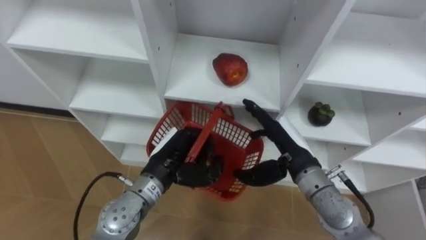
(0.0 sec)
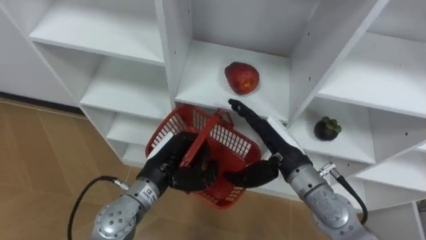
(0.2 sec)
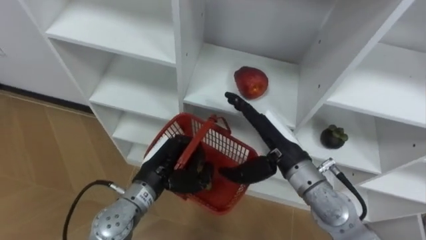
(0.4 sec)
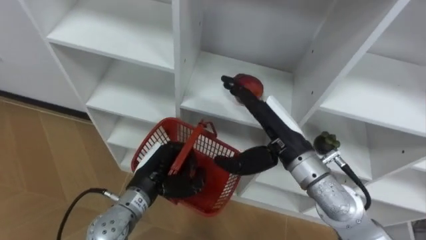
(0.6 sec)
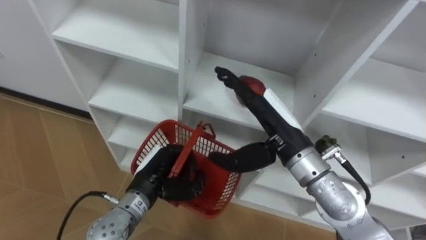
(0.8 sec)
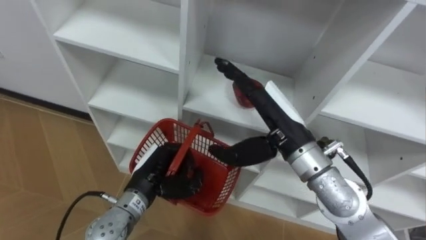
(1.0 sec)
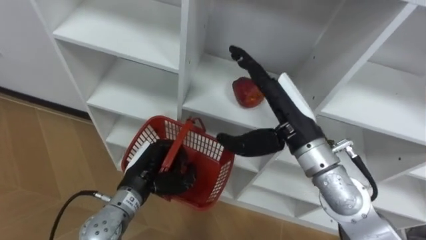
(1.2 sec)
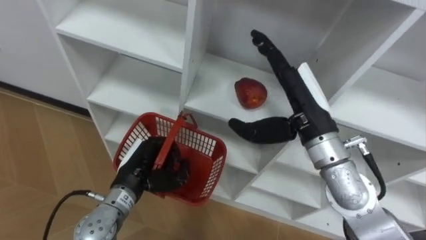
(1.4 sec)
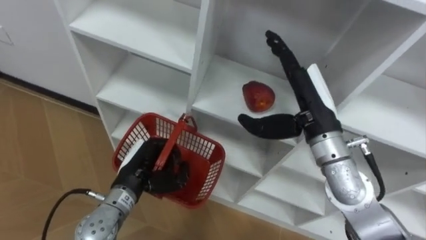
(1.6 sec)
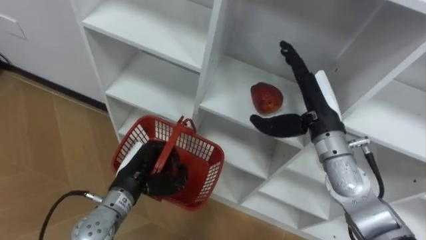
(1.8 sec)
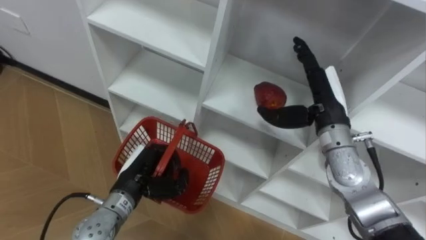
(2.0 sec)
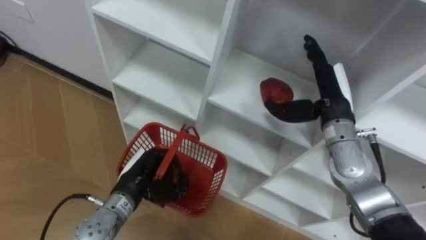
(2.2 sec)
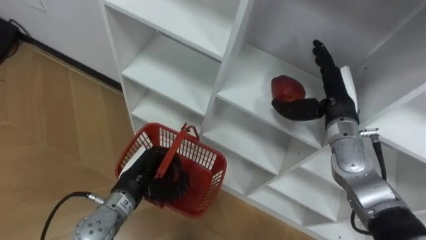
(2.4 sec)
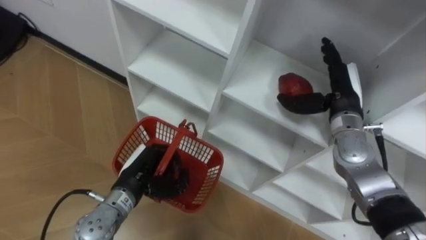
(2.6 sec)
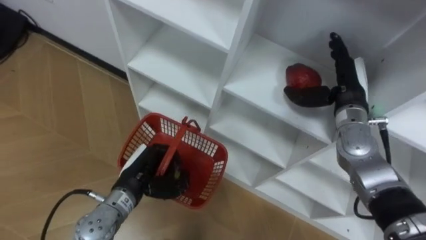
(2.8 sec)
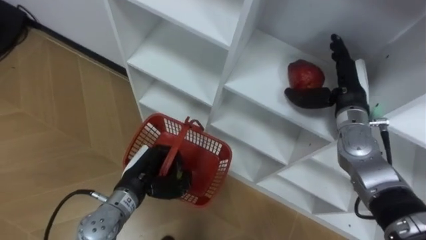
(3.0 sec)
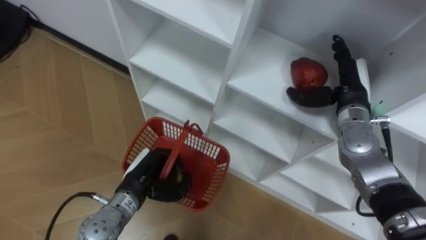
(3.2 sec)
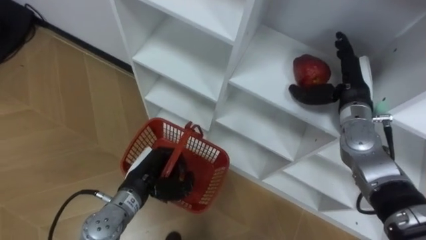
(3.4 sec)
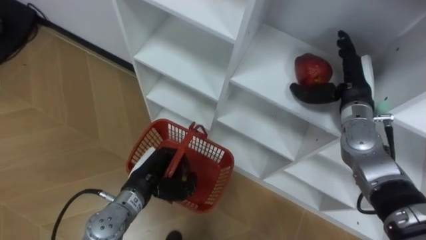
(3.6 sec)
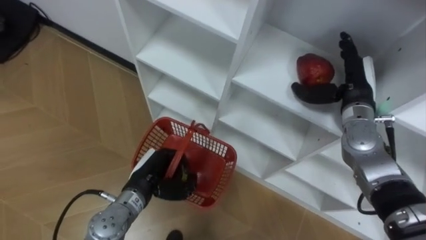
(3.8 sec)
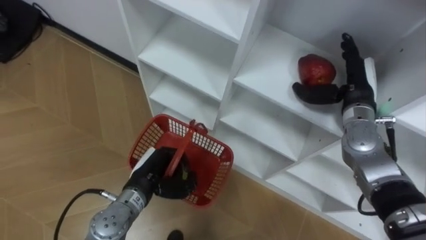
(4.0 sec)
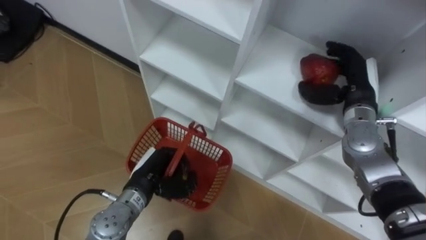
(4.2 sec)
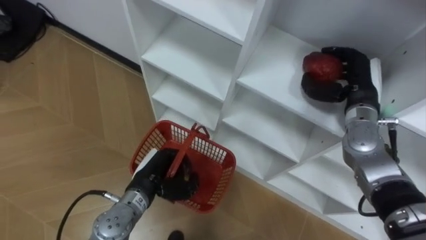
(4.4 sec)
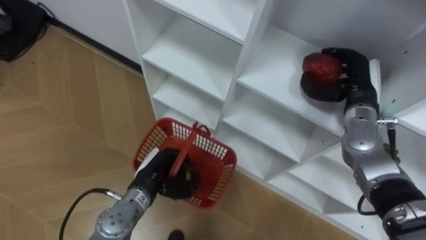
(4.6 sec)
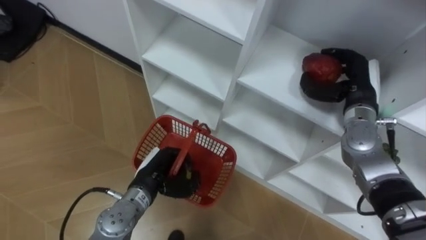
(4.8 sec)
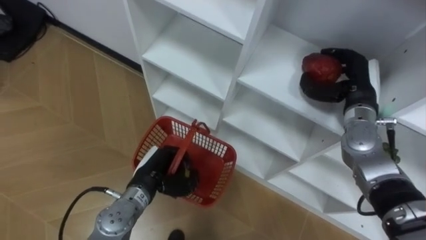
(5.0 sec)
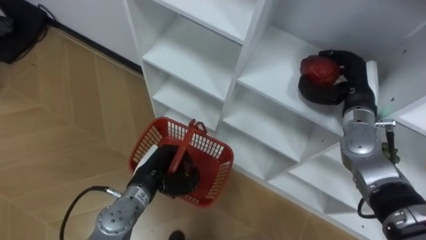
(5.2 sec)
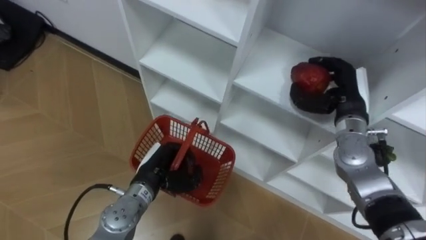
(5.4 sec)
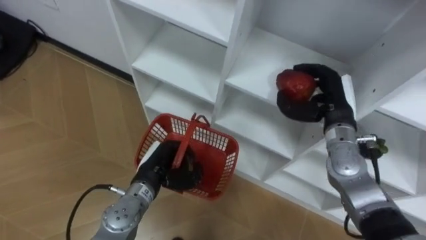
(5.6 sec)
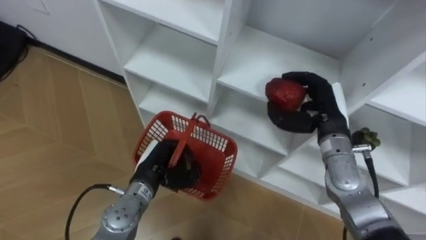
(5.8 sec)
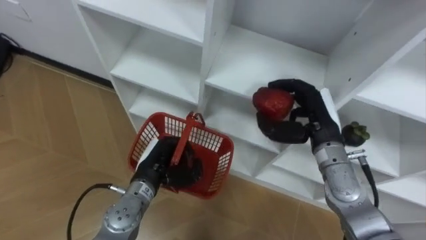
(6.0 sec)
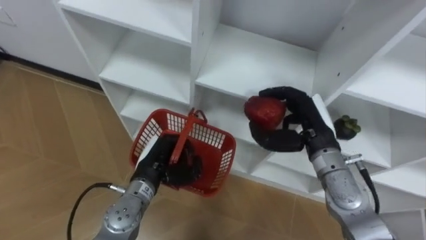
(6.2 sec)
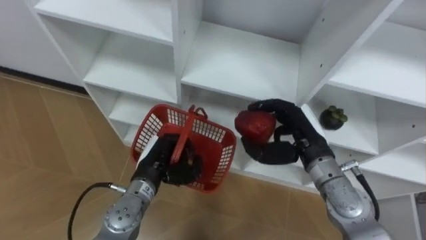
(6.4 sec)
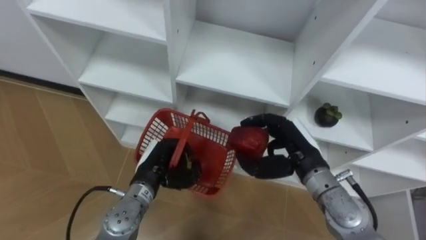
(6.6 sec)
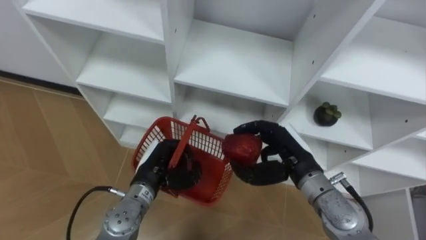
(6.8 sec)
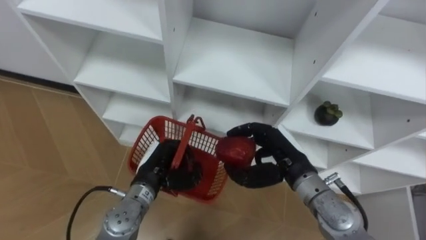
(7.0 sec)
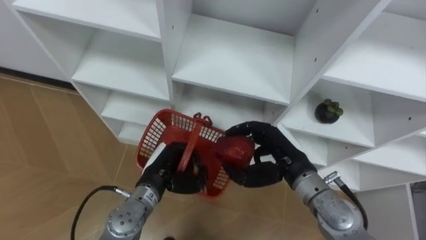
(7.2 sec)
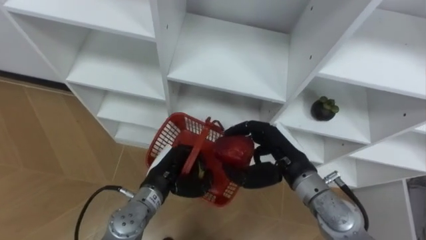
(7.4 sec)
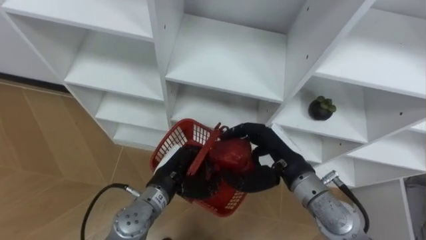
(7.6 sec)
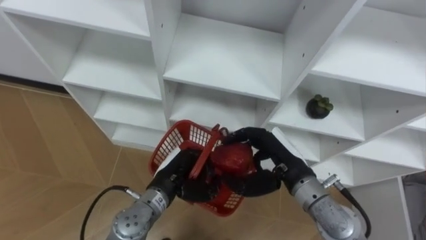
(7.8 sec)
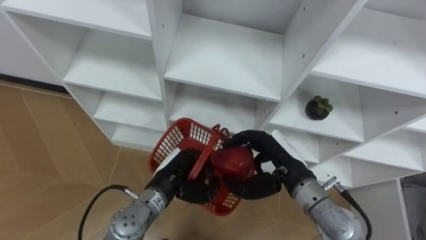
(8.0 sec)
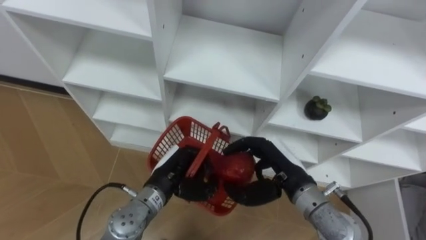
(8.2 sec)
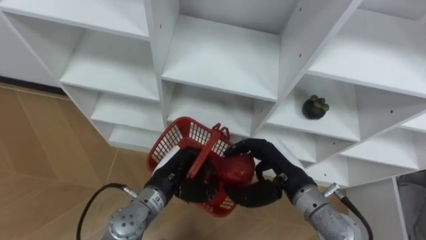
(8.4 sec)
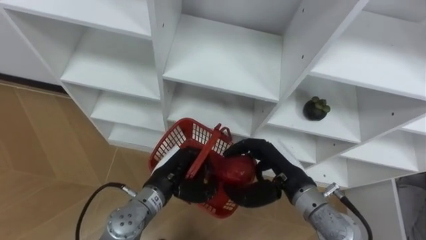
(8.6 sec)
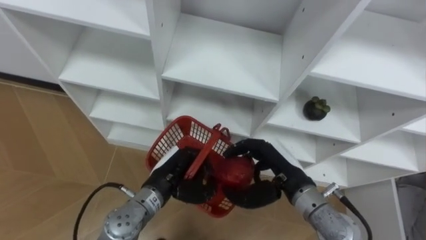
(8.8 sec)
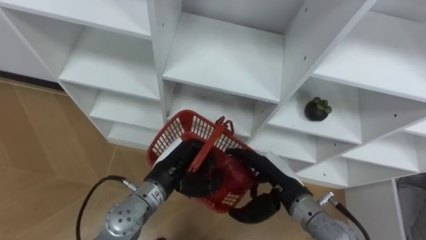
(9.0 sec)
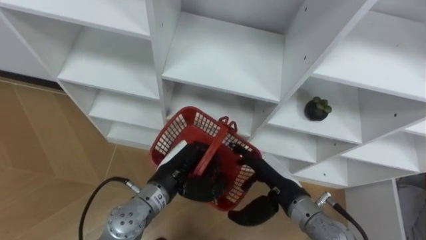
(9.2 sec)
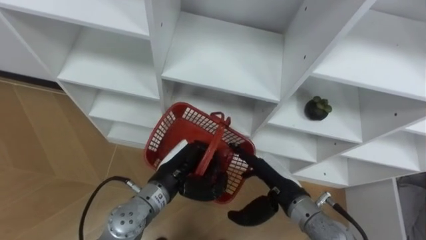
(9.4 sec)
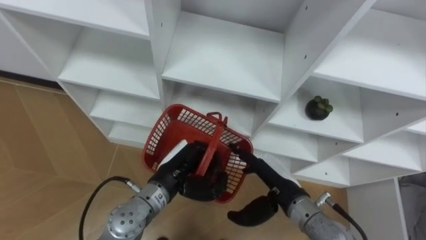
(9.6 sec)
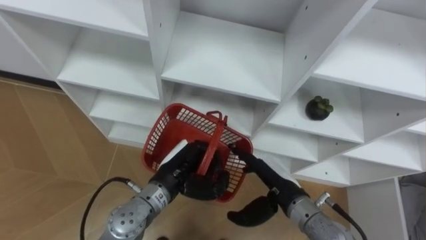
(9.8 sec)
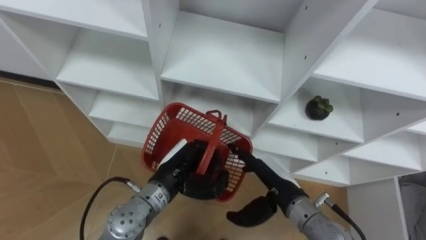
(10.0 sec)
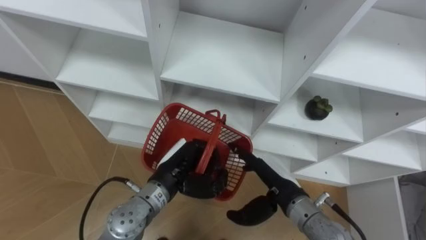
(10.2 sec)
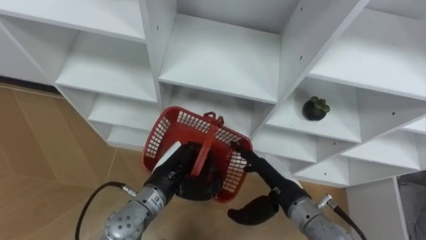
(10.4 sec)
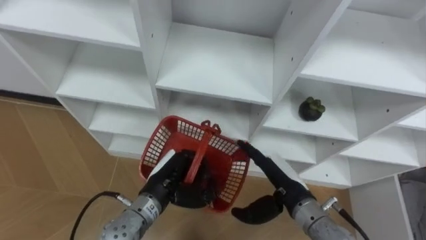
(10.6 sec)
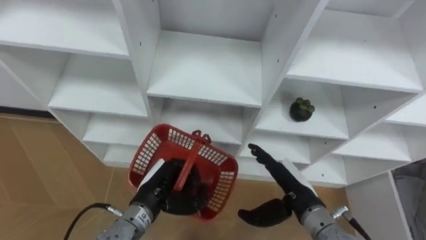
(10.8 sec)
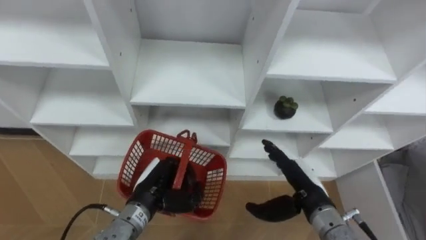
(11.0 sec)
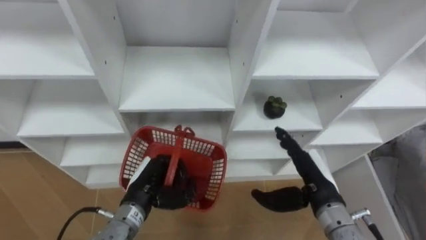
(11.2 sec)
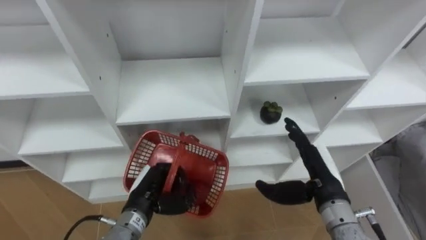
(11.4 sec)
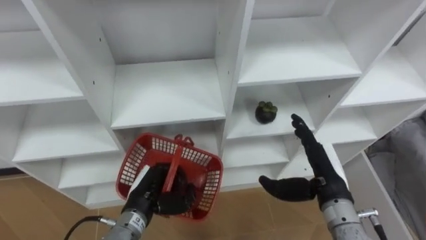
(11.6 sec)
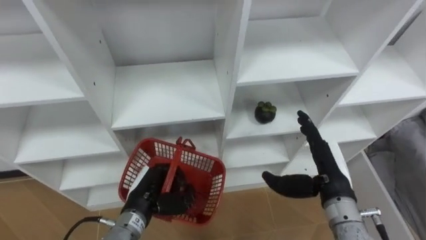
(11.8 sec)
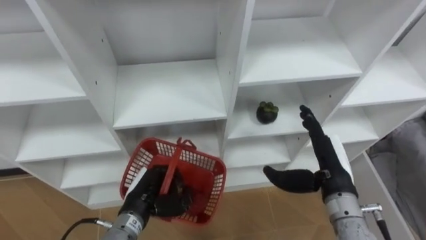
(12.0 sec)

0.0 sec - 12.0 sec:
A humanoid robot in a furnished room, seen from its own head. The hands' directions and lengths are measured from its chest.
Task of the whole recording: Hold the basket and collect the fruits from 3 different cells of the closet into it.
0.0 sec - 1.6 sec: The left hand shifts roughly 5 cm to the left. The right hand travels upward by roughly 10 cm.
1.6 sec - 3.0 sec: The right hand goes roughly 15 cm to the right, forward and downward.
3.0 sec - 4.4 sec: The right hand closes up.
4.4 sec - 6.0 sec: The right hand goes about 10 cm to the left and backward.
6.0 sec - 7.6 sec: The right hand shifts approximately 10 cm to the left and backward.
7.6 sec - 9.0 sec: The right hand moves some 5 cm.
10.4 sec - 12.0 sec: The left hand moves to the left and downward, roughly 10 cm. Meanwhile the right hand goes approximately 10 cm to the right.

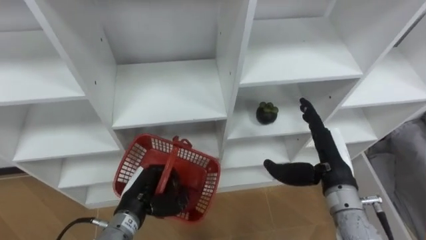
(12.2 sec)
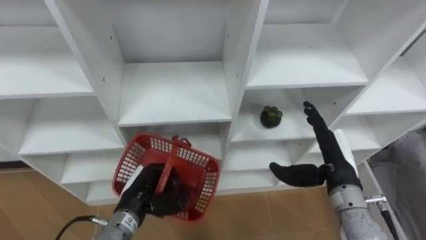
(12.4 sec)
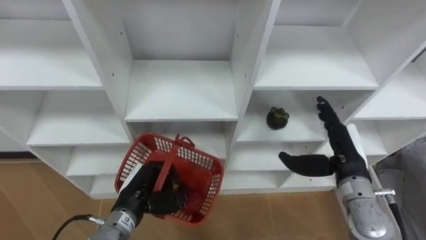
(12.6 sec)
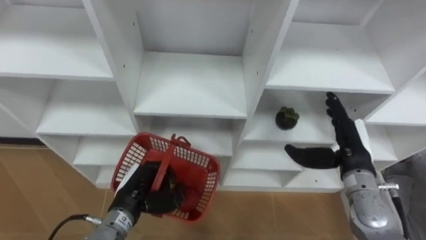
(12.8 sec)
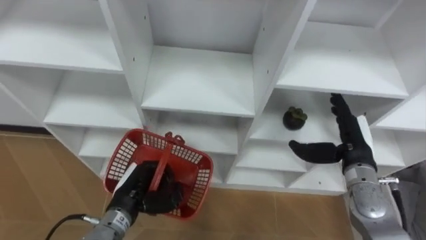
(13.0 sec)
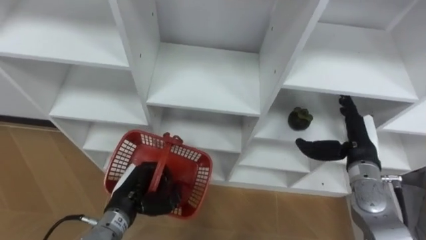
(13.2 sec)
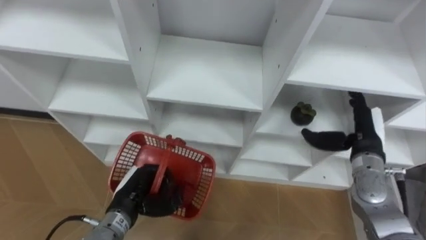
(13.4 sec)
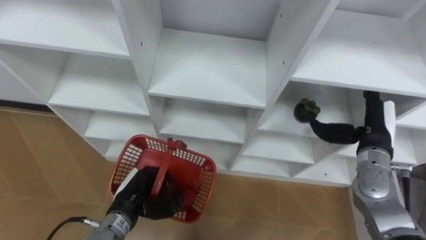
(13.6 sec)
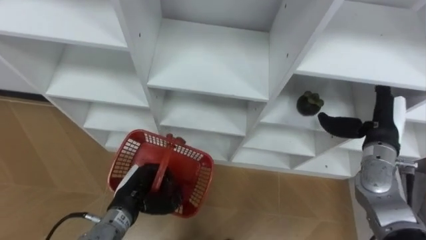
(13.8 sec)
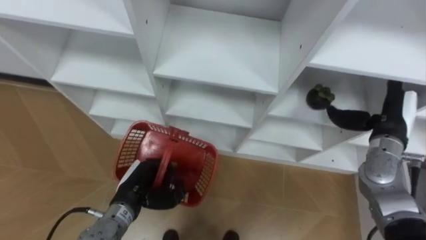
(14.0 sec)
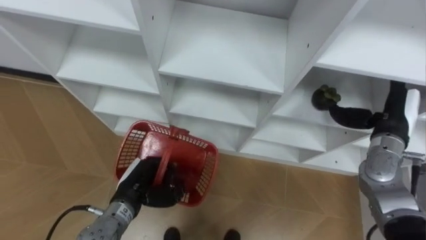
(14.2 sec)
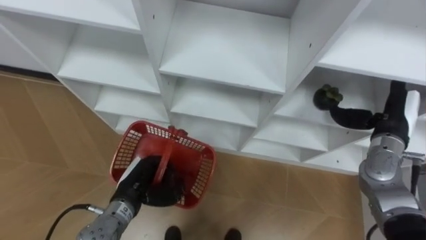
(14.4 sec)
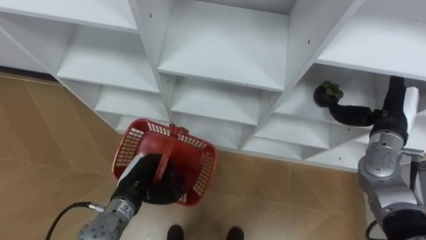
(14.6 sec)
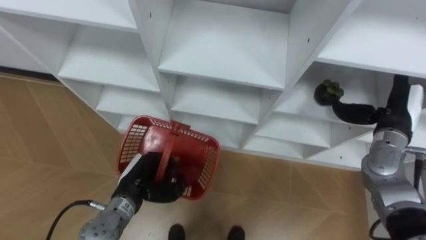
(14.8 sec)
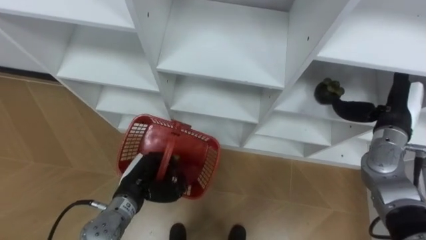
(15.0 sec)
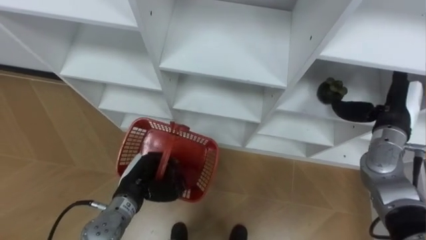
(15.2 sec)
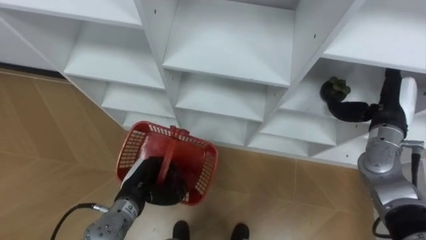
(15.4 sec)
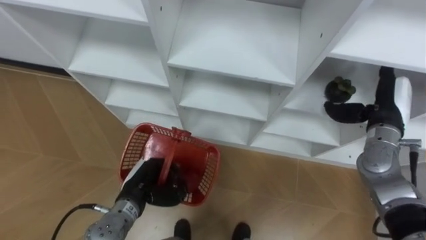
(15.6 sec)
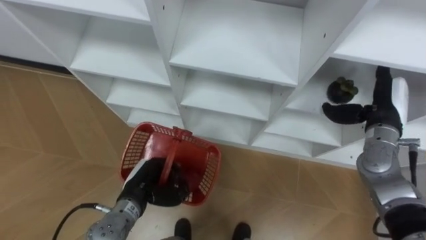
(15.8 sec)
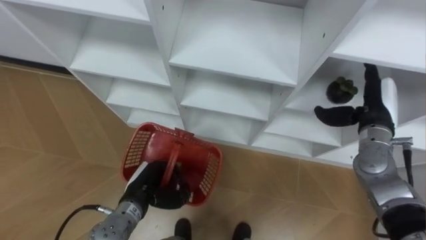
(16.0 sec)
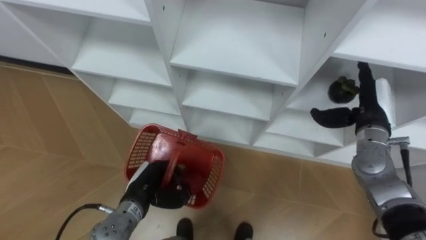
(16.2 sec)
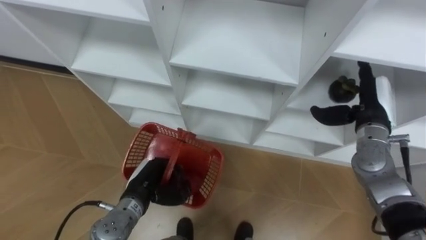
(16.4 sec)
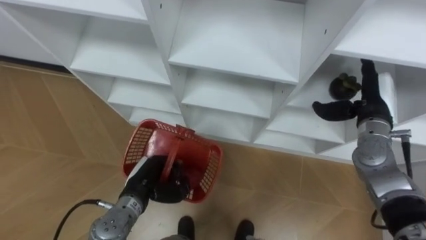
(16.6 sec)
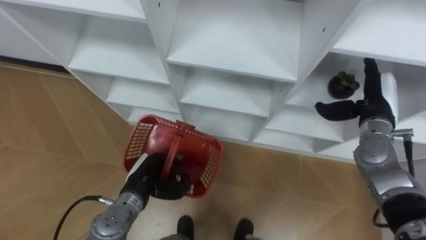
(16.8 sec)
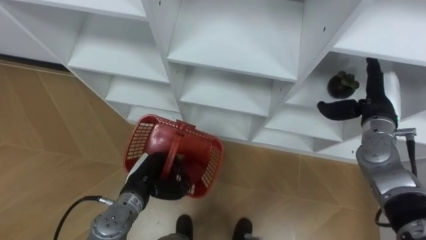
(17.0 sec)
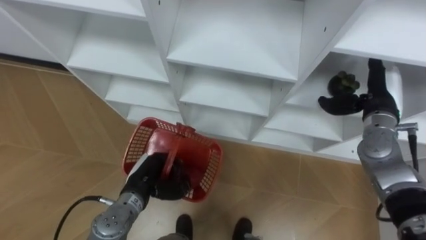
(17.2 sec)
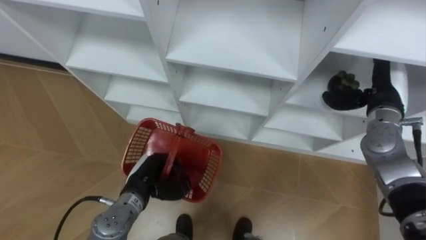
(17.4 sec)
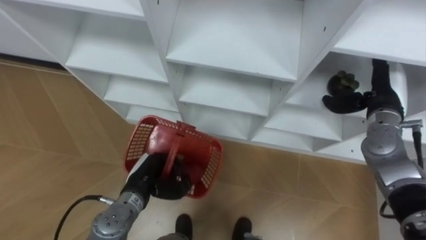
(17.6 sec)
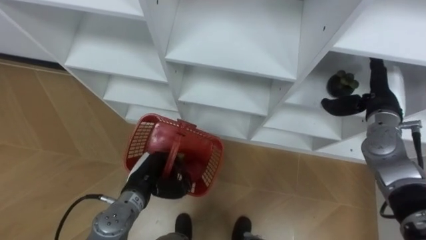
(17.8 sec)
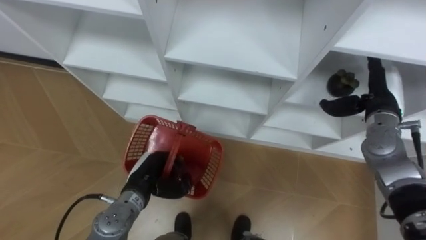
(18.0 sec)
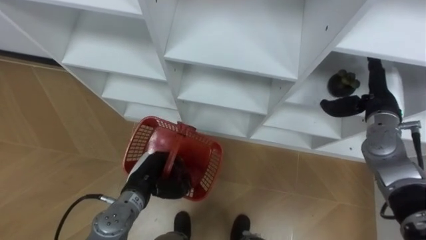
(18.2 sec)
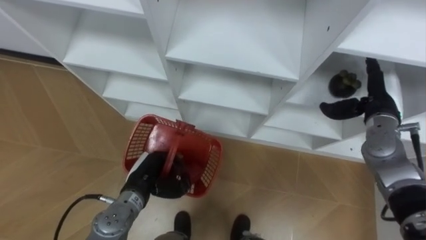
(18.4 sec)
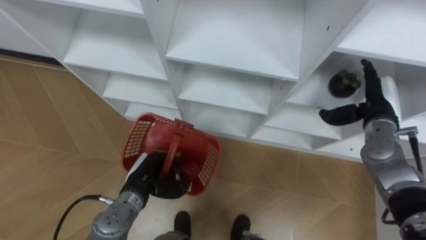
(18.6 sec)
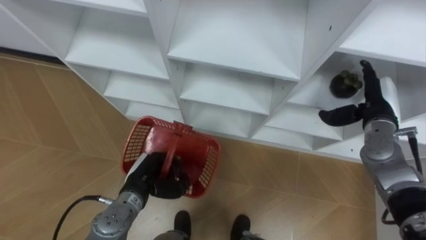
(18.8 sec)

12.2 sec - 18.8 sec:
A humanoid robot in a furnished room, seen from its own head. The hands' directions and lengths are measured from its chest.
Task of the whole recording: Hold the basket and collect the fruits from 3 different cells of the closet into it.
12.2 sec - 13.8 sec: The right hand is displaced to the right and forward by some 10 cm.
17.2 sec - 18.8 sec: The hands stay close to where they were, moving slightly.
